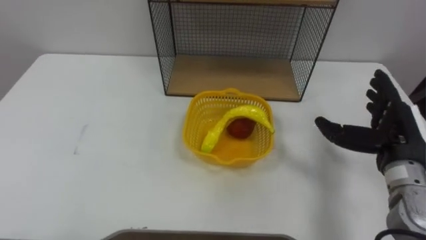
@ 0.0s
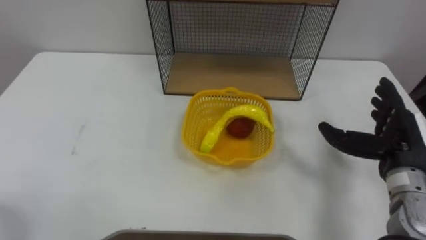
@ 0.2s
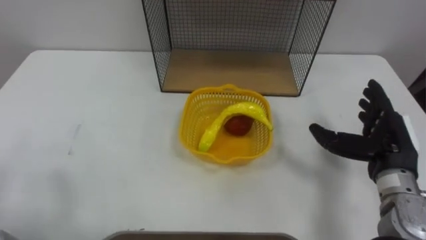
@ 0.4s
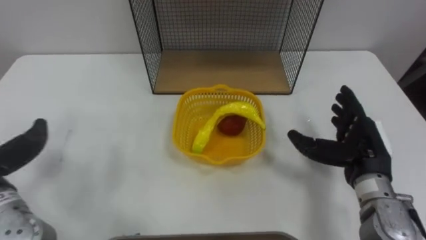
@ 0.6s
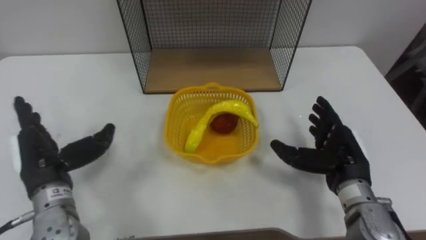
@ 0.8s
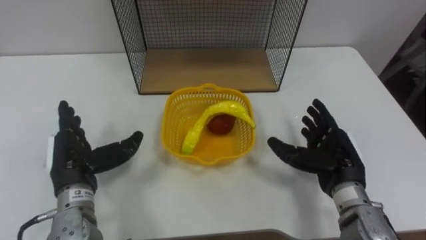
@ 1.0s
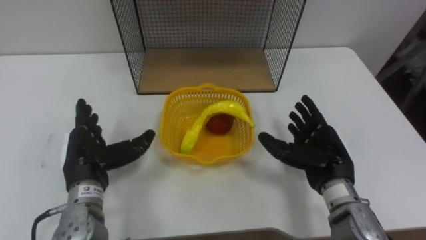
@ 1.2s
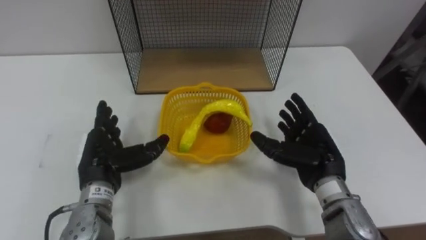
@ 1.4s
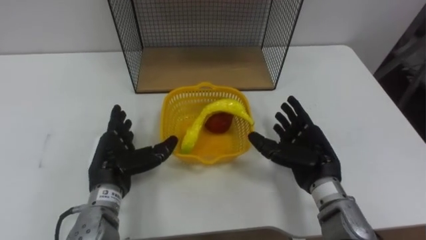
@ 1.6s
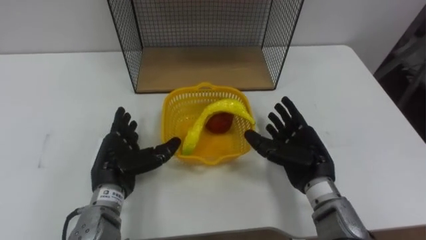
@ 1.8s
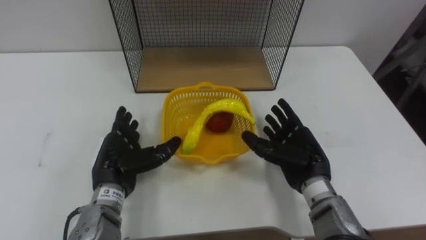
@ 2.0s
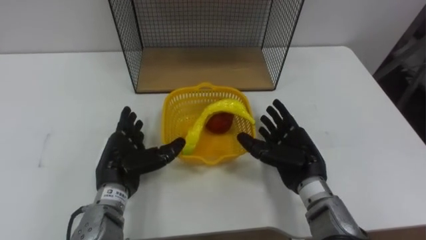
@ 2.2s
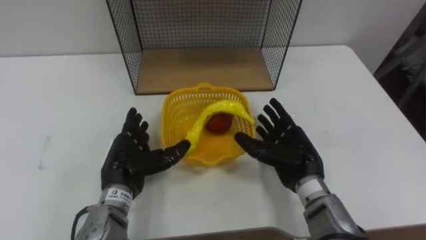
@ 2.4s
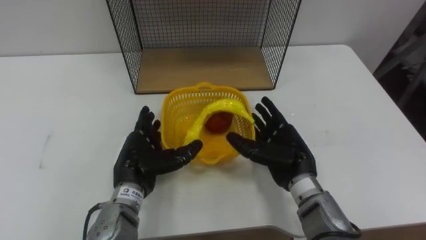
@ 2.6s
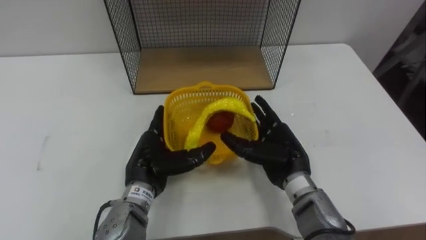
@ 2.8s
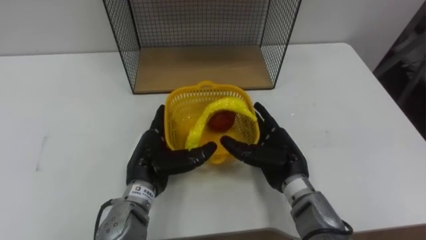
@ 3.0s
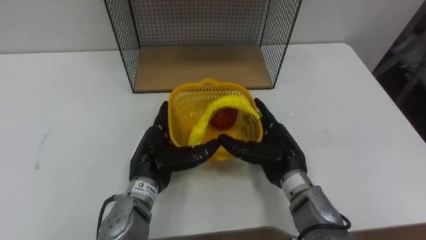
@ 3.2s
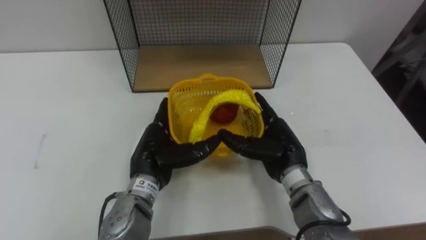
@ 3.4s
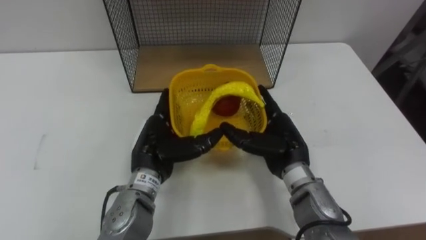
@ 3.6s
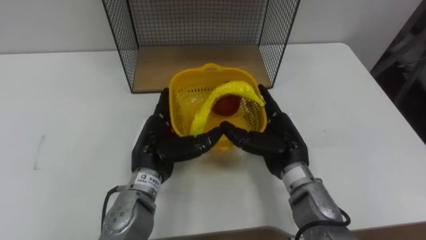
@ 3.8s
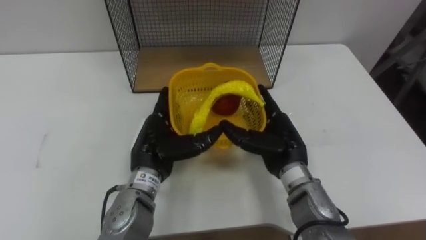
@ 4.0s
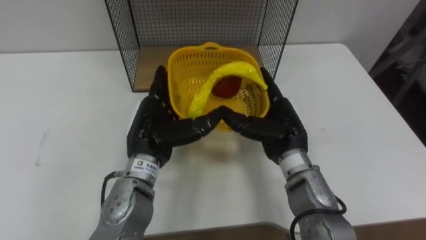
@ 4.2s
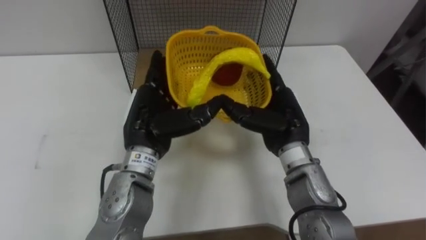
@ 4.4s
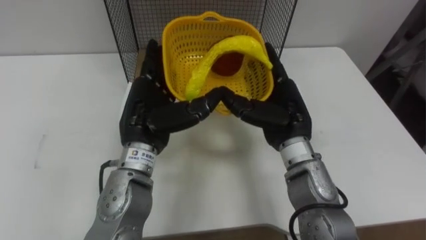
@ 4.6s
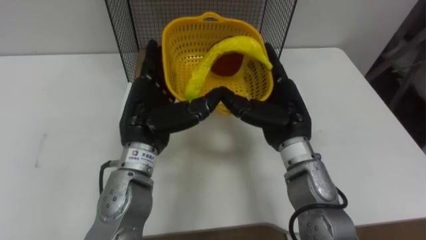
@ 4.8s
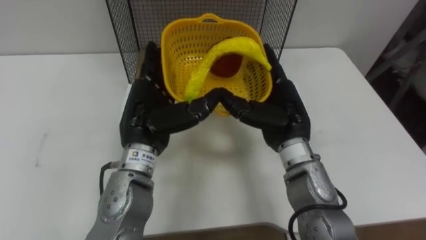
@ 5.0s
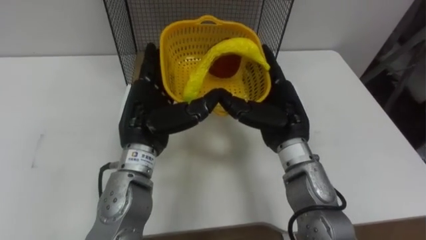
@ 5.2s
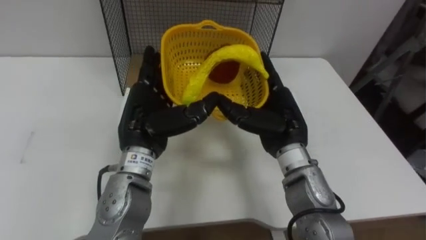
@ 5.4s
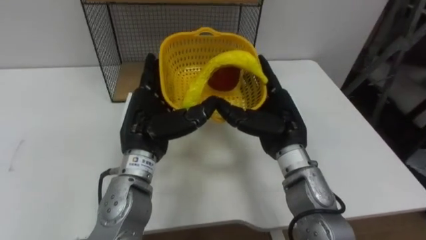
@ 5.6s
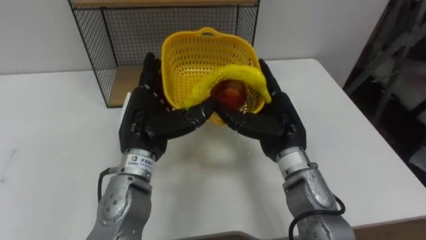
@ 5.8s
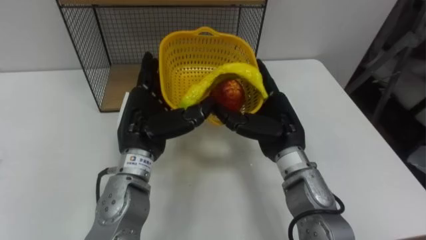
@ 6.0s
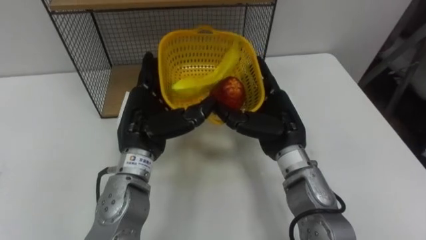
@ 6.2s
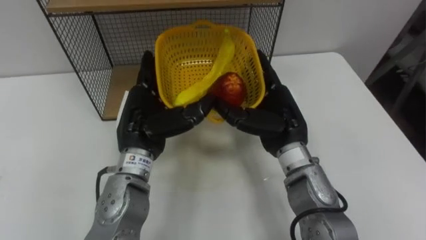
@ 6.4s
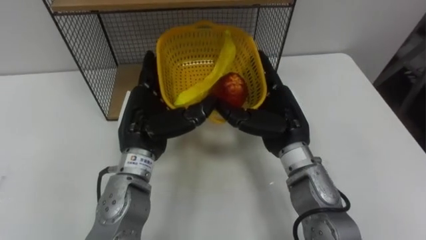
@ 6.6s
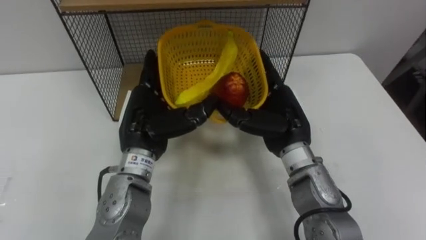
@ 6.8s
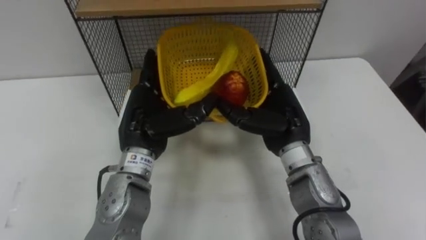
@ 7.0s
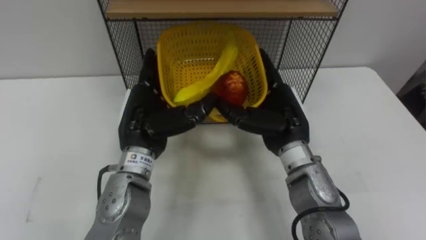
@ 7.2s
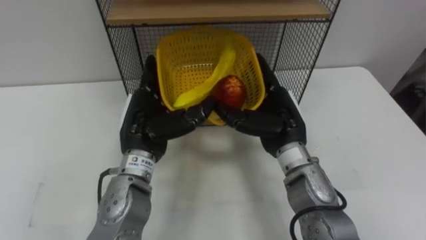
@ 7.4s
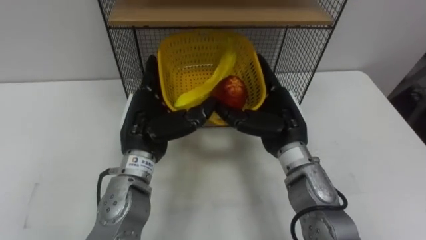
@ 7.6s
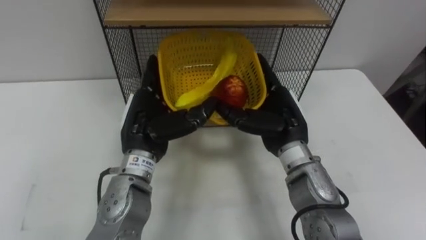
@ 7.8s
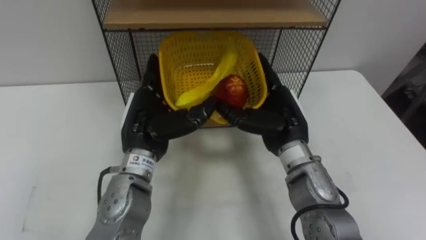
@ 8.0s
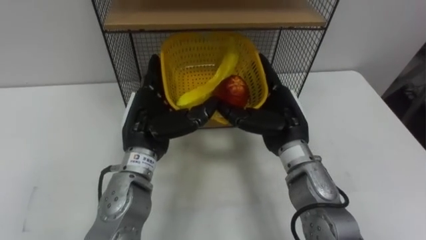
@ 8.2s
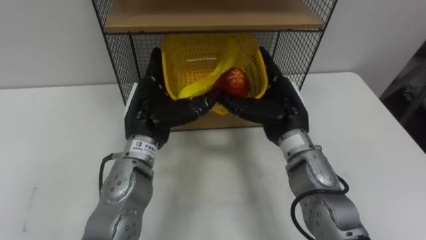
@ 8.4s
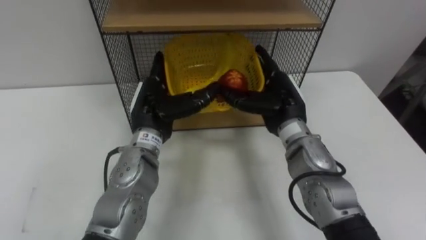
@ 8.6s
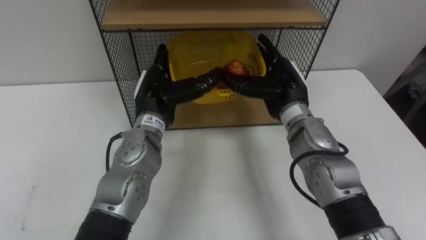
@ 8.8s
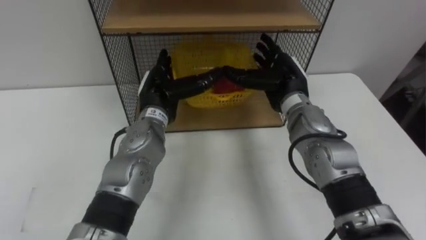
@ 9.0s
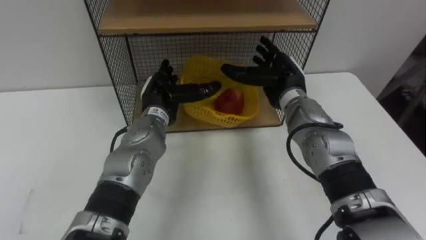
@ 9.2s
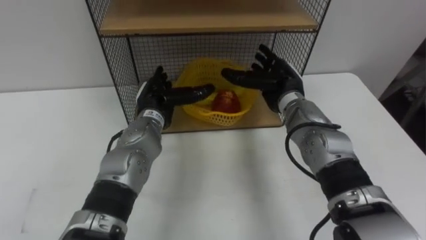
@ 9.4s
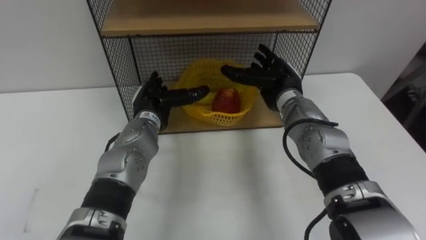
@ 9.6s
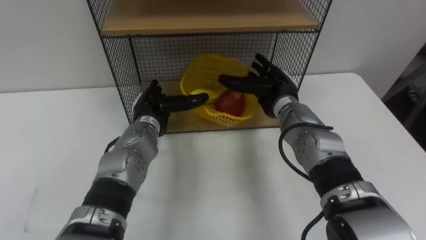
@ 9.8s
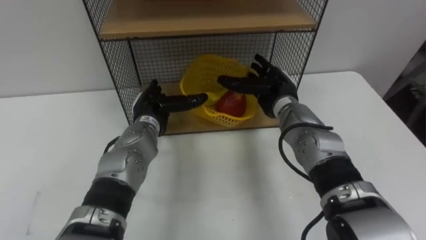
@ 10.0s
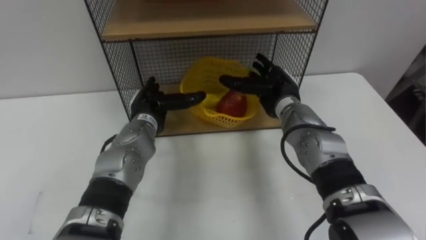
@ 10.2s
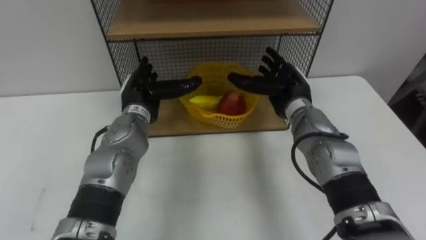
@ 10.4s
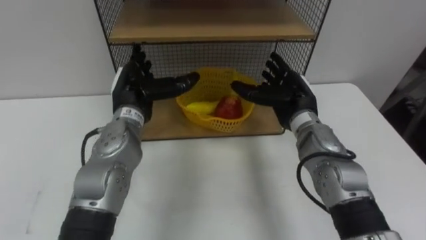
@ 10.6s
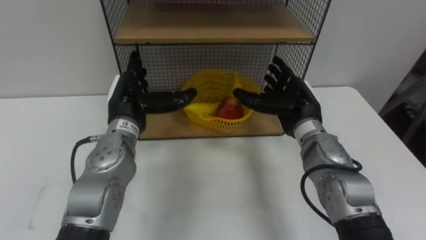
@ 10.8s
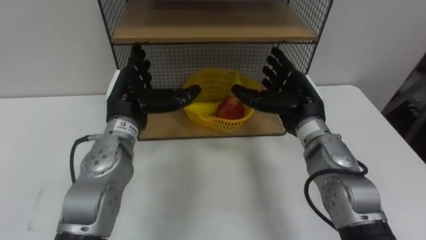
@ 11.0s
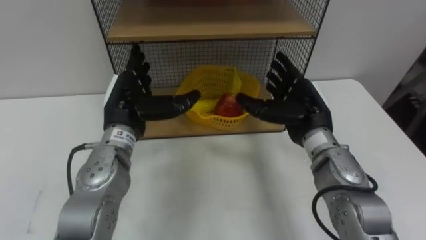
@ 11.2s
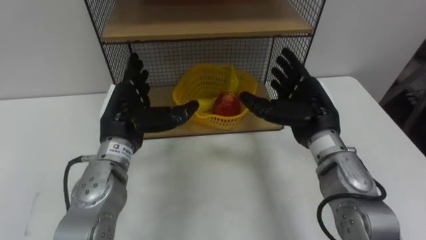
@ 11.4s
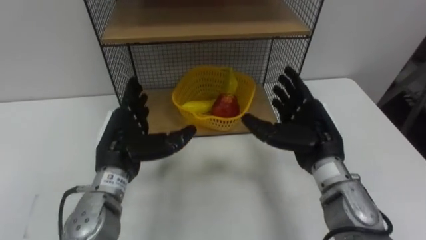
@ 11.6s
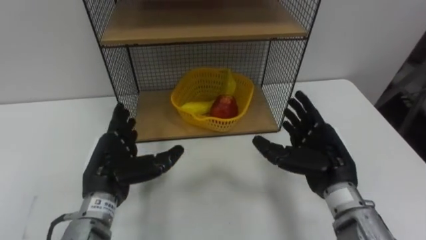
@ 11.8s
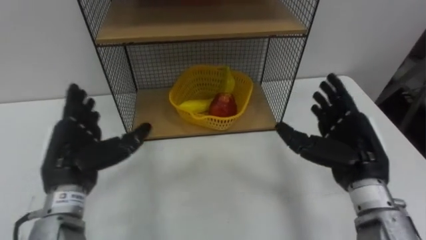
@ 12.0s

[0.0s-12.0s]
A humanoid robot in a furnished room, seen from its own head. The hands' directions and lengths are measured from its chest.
Task of the whole recording: Put the fruit on the table into the basket, then place the basket on the shelf.
0.0s to 1.6s: The right hand travels to the left and downward by some 15 cm.
1.6s to 3.0s: The left hand shifts about 5 cm to the right. Meanwhile the right hand heads to the left, covering roughly 5 cm.
3.0s to 4.4s: The hands both shift upward by approximately 10 cm.
7.6s to 9.0s: The two hands go some 10 cm forward.
10.4s to 12.0s: The left hand is displaced backward and to the left by roughly 15 cm, while the right hand is displaced backward and to the right by about 15 cm.

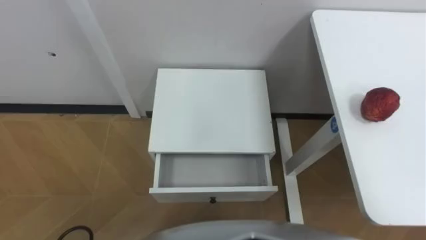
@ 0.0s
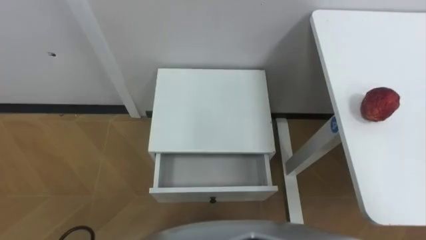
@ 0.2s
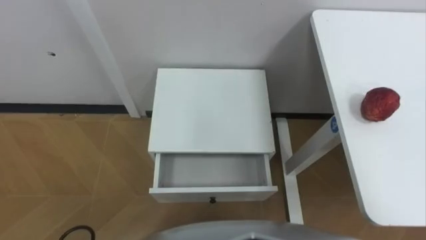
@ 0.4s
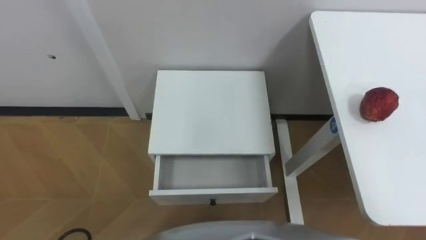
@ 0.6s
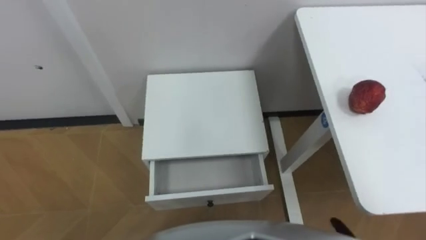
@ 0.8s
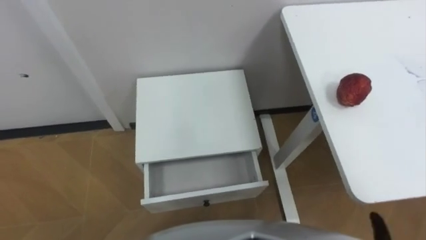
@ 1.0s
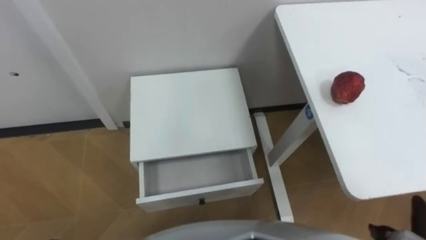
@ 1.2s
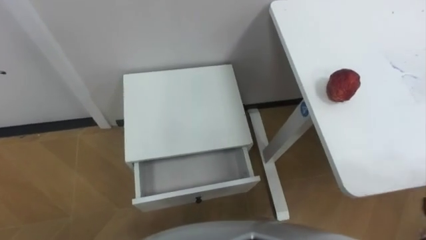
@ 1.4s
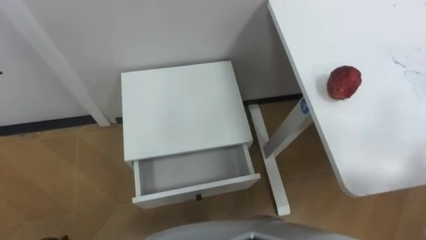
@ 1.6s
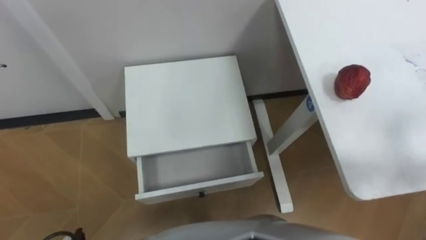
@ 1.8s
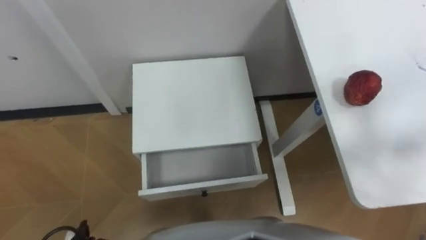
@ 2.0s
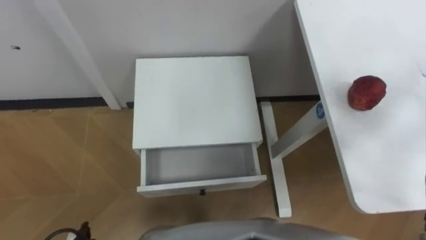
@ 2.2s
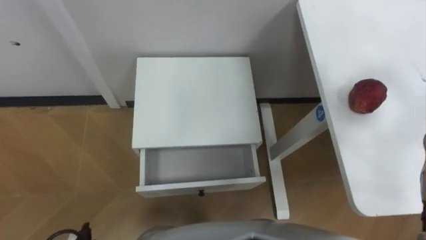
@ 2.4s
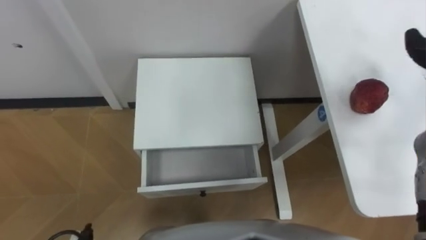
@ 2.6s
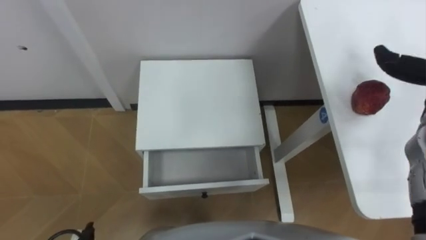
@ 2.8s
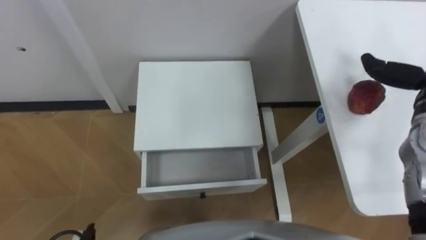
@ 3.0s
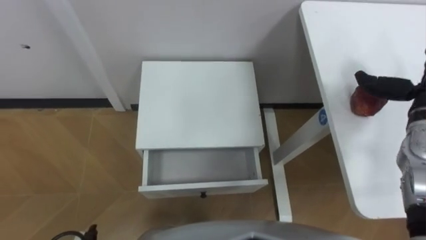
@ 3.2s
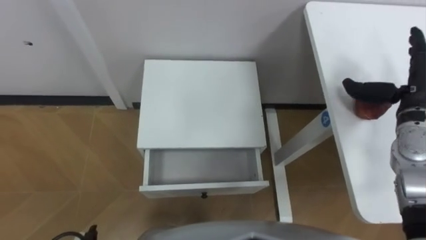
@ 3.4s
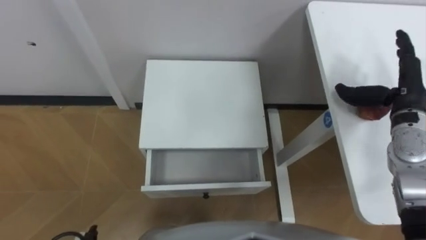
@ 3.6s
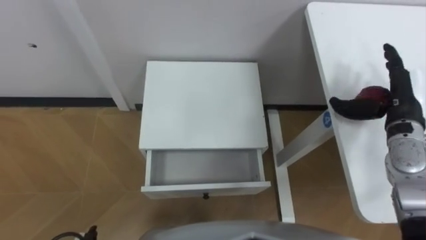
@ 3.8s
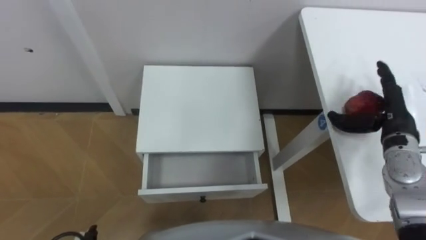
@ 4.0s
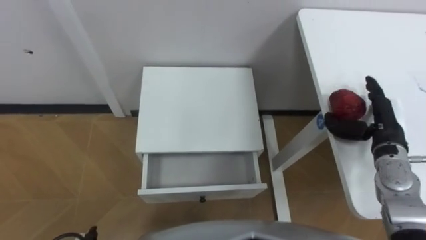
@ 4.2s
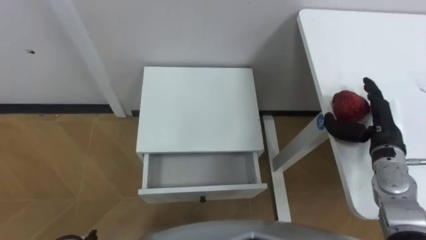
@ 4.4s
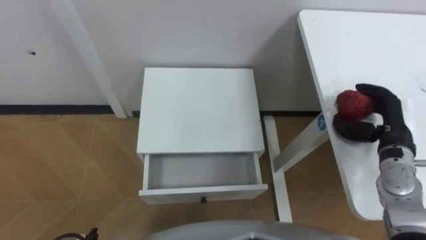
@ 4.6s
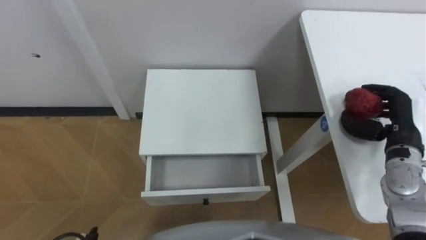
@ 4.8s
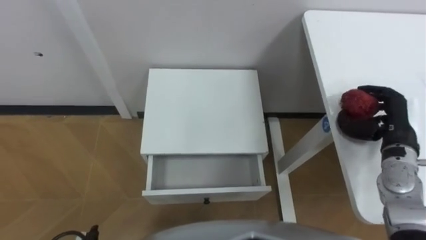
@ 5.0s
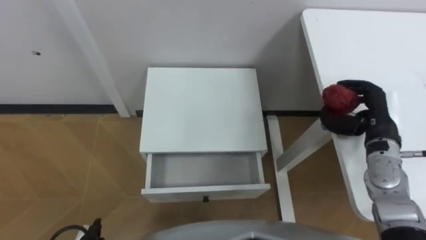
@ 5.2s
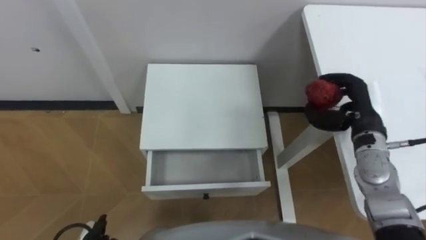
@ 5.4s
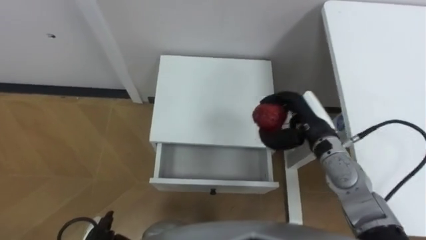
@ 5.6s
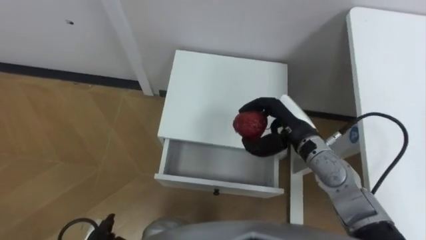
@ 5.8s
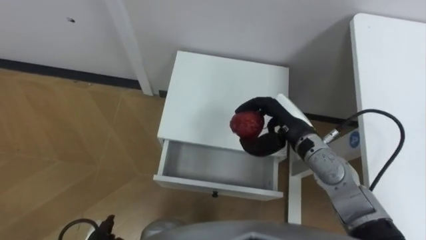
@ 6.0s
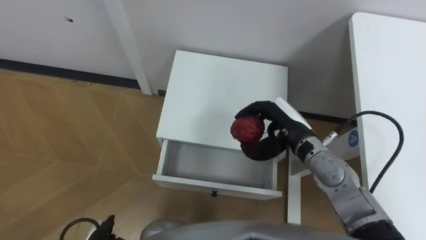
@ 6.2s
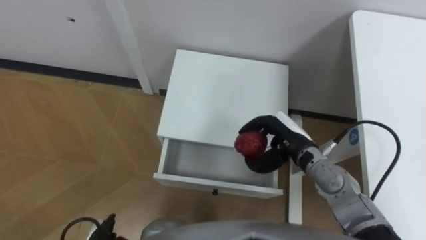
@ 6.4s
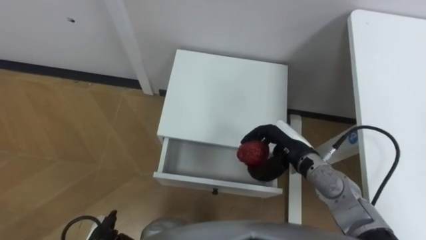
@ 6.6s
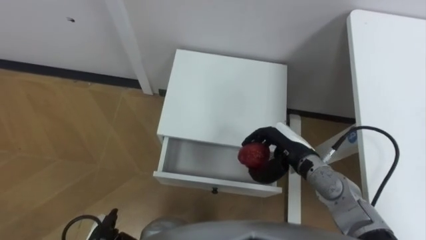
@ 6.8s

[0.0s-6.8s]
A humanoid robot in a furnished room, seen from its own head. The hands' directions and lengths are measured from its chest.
Task of the whole recording: Pick up the apple from the table, put it in the drawer, and close the drawer with leg.
4.0s to 5.4s: The right hand goes approximately 5 cm to the left, and closes.
5.4s to 6.8s: The right hand goes roughly 15 cm to the left and downward.
